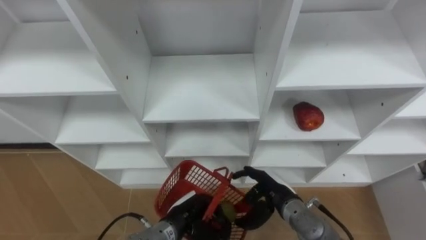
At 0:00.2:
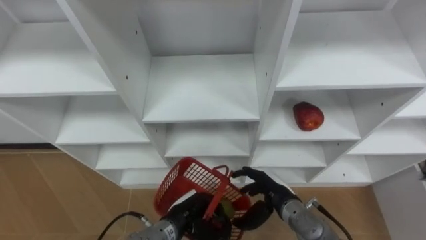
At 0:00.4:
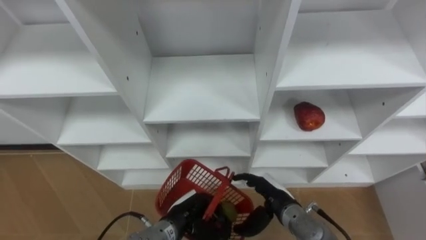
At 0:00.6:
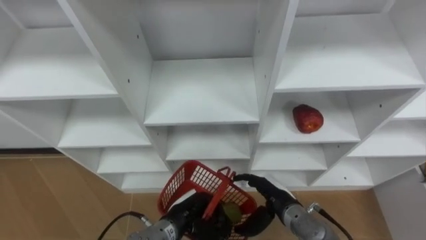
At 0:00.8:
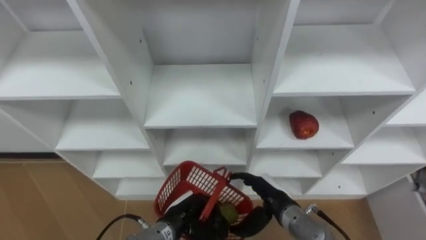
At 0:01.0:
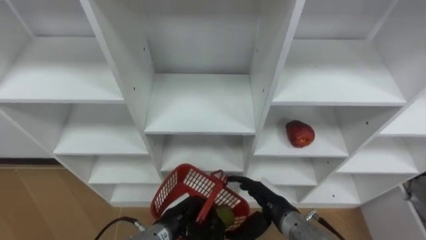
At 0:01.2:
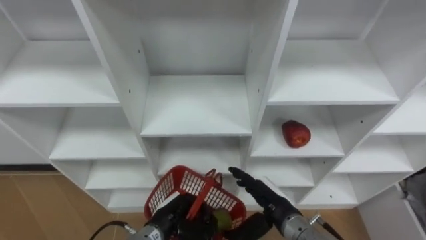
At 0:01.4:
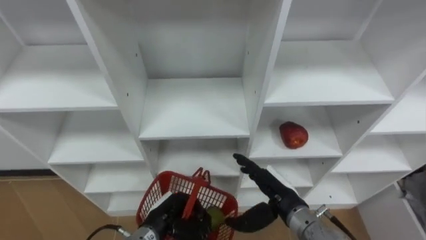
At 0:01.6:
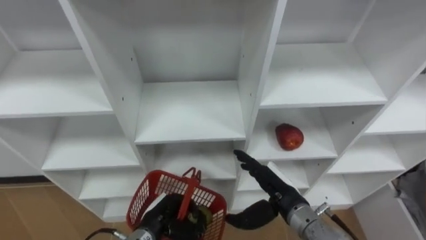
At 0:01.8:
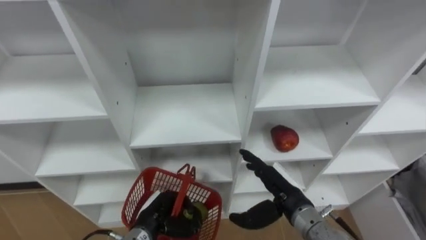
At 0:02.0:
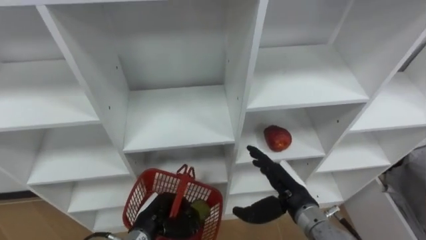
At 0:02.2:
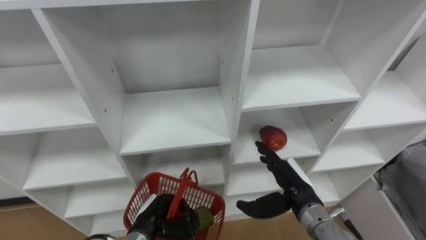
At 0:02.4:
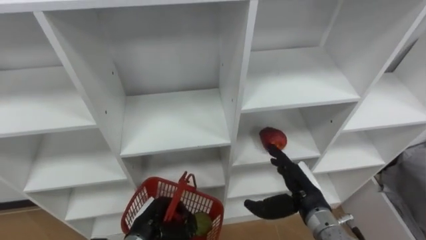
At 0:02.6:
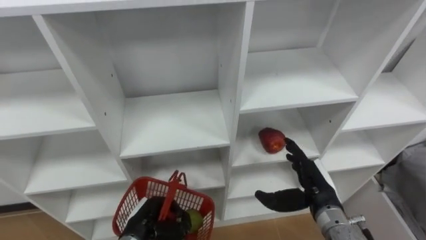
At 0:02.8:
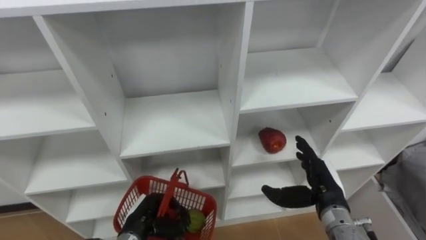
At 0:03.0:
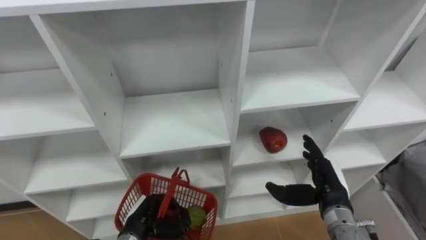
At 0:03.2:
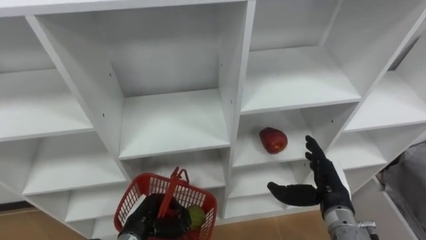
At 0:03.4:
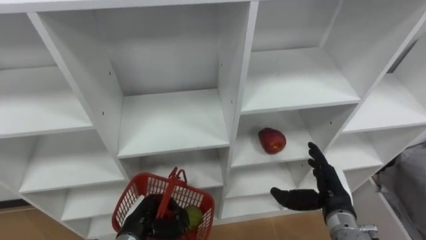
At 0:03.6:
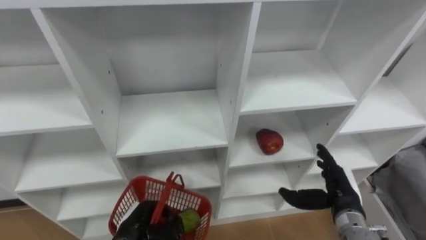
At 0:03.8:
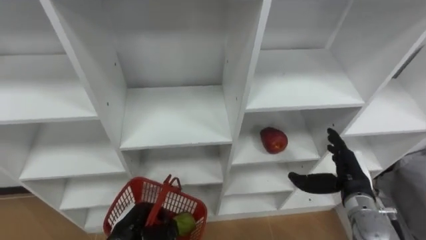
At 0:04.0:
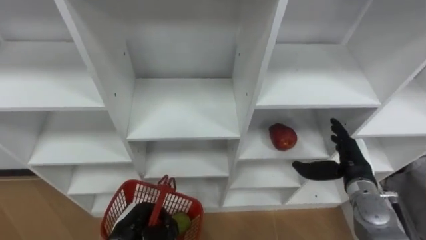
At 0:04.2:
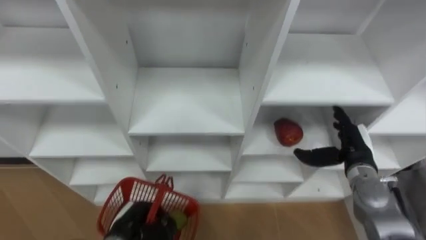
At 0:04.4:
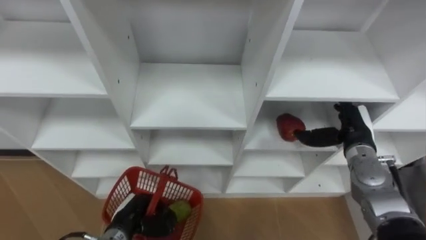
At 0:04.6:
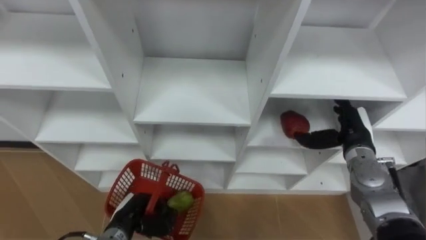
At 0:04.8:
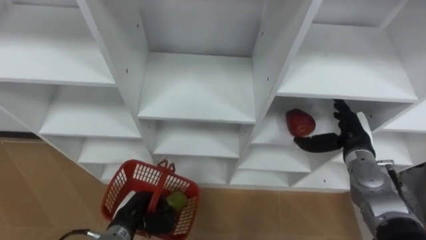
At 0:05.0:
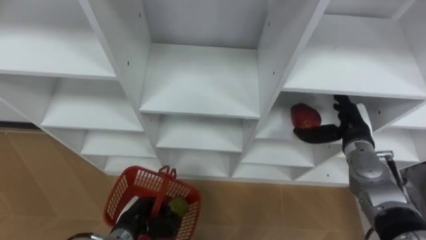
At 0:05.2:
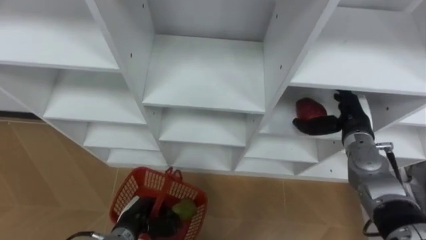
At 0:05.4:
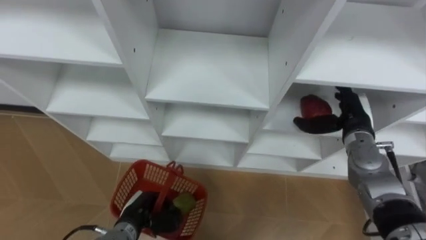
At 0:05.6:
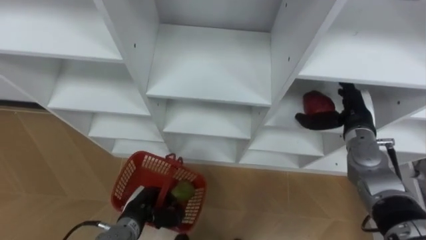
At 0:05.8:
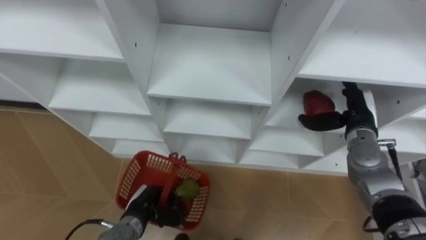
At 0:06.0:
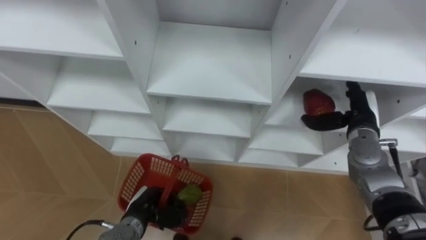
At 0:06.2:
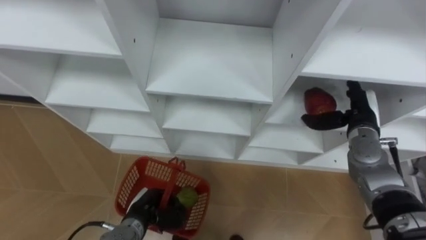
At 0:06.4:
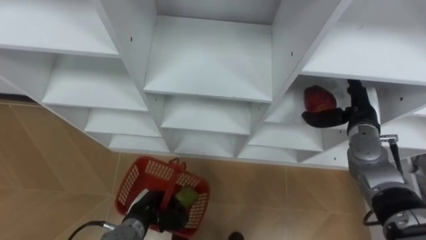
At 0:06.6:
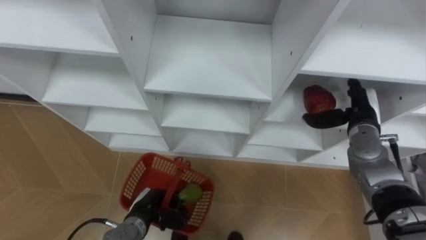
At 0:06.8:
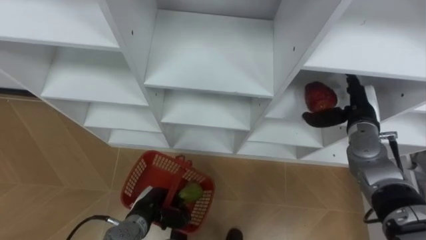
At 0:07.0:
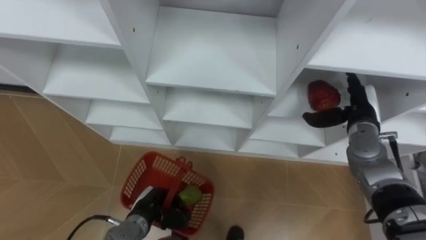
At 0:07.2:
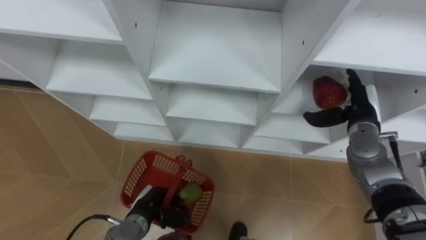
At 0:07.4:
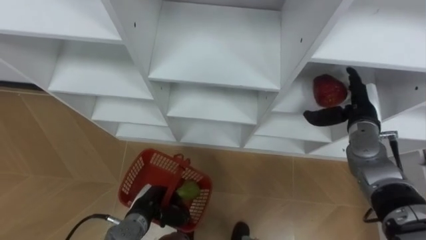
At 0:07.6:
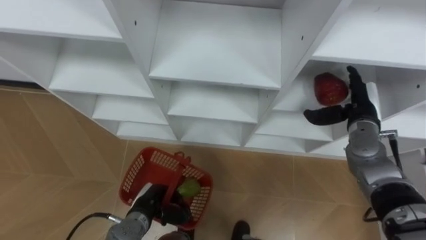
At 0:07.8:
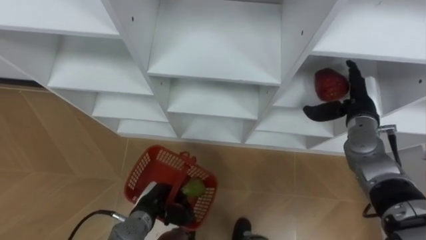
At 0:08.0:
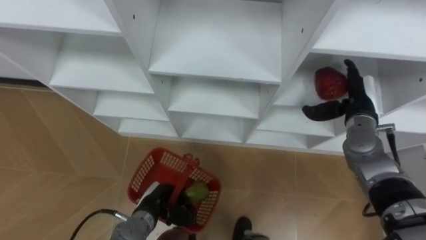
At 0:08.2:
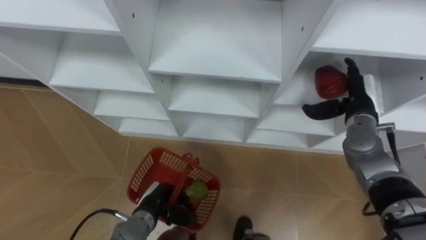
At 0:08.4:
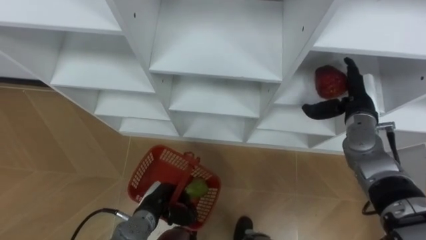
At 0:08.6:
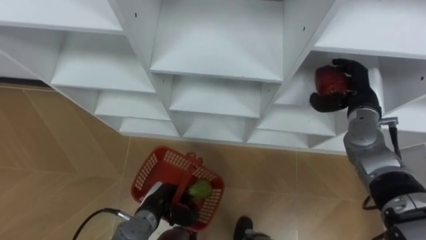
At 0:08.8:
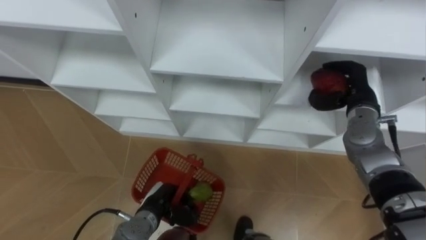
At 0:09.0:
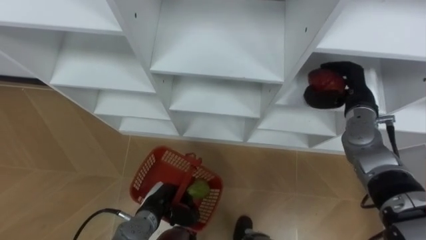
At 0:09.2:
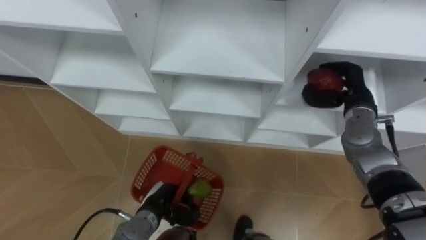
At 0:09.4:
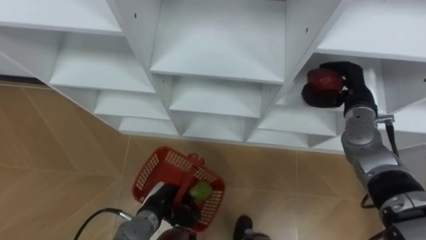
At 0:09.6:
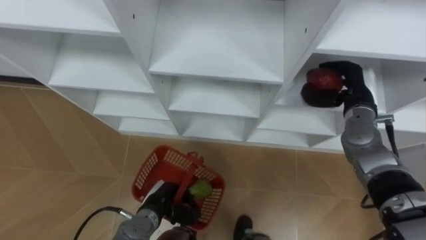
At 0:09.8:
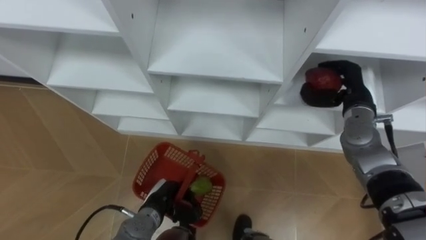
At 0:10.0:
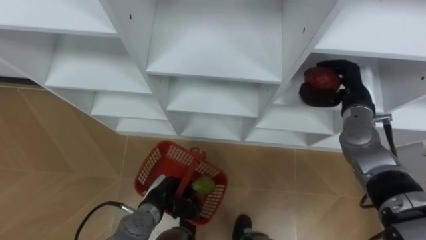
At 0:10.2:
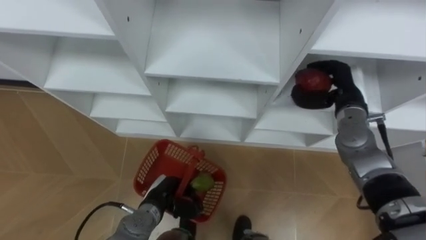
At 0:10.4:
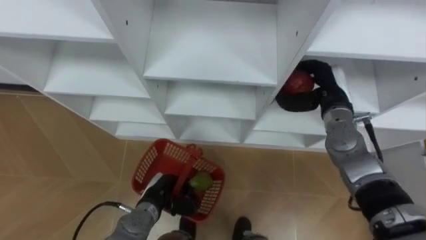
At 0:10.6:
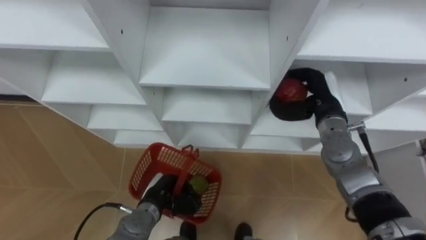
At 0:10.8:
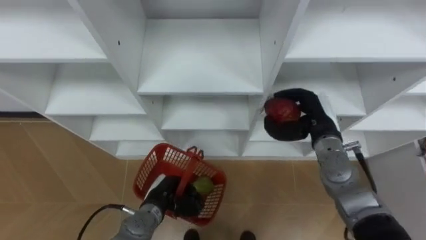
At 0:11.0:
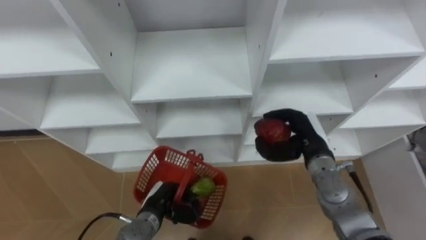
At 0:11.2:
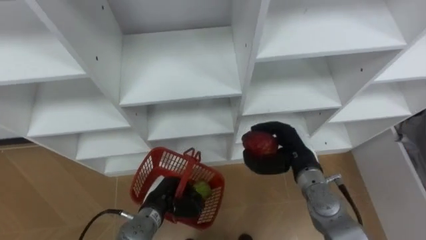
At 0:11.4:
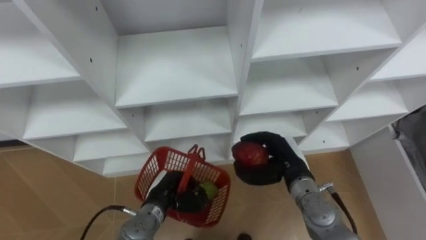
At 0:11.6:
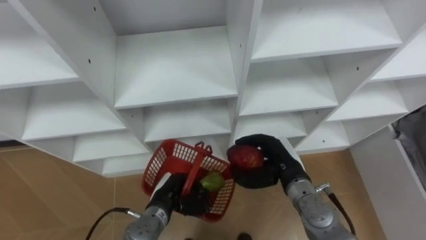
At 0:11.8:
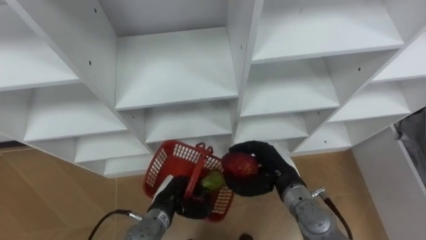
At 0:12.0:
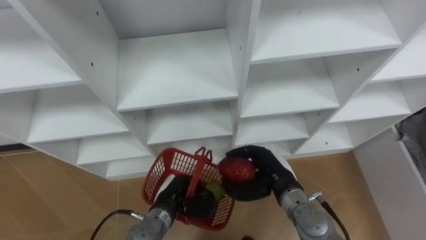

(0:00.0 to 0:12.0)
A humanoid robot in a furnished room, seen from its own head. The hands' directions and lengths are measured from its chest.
Task of the whole recording: Hold the basket and collect the fruits from 3 different cells of the closet into it.
0:00.0 - 0:01.6: The left hand shifts about 5 cm to the left. Meanwhile the right hand shifts about 5 cm upward.
0:01.6 - 0:03.0: The right hand shifts roughly 10 cm to the right.
0:03.0 - 0:04.4: The right hand travels forward and to the right by approximately 10 cm.
0:07.6 - 0:09.0: The right hand closes up.
0:09.0 - 0:10.4: The right hand moves to the left, roughly 5 cm.
0:10.4 - 0:12.0: The right hand goes some 20 cm backward, downward and to the left.

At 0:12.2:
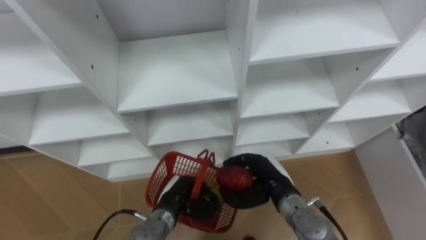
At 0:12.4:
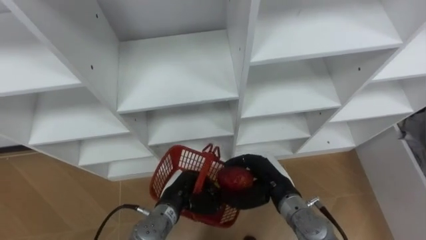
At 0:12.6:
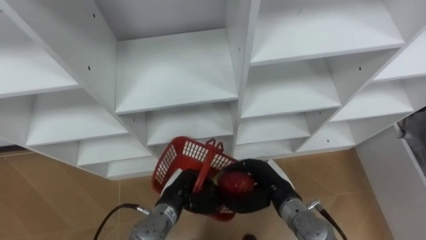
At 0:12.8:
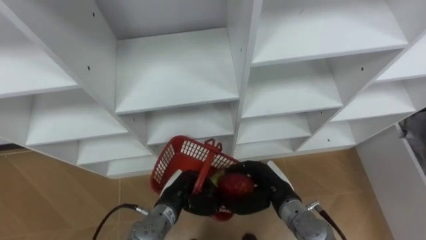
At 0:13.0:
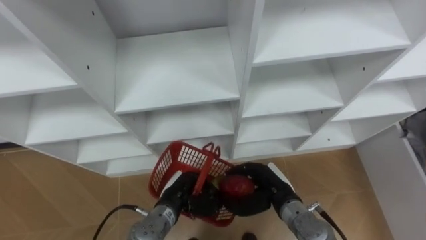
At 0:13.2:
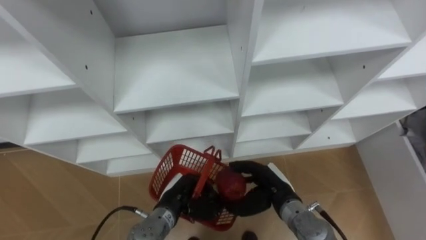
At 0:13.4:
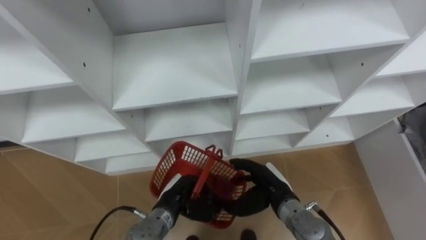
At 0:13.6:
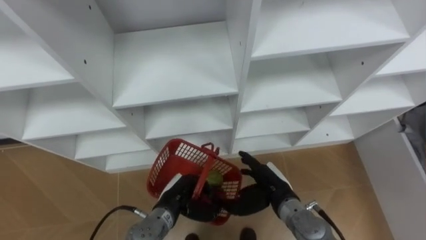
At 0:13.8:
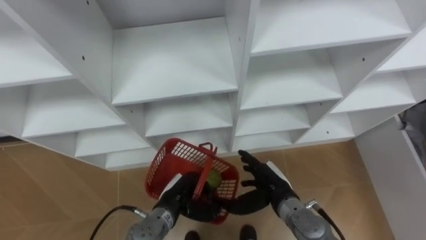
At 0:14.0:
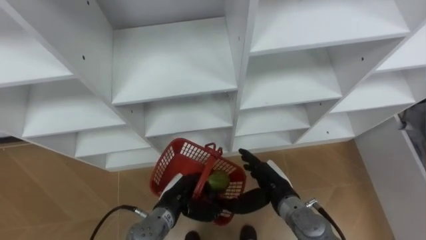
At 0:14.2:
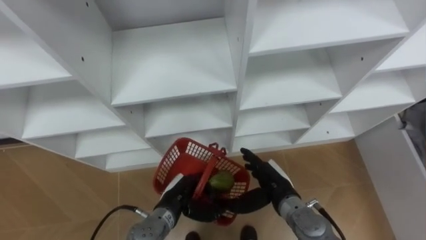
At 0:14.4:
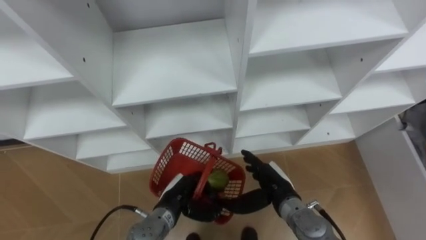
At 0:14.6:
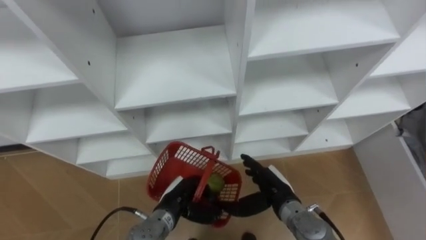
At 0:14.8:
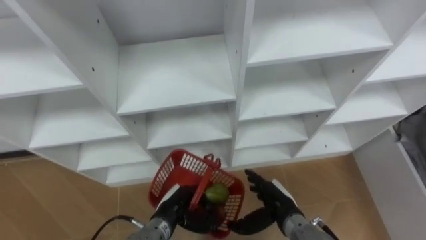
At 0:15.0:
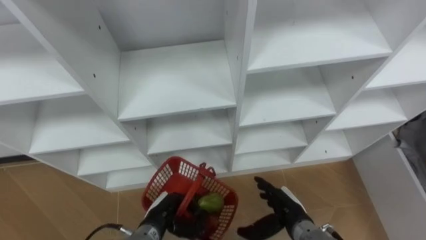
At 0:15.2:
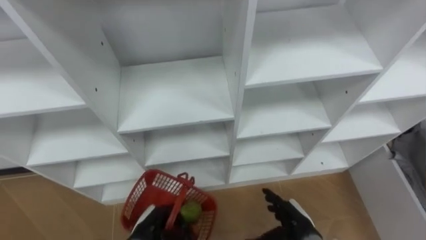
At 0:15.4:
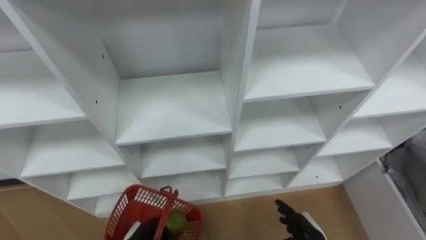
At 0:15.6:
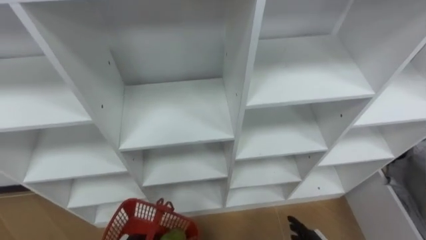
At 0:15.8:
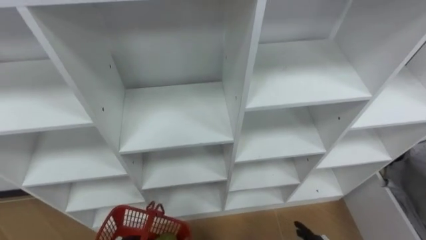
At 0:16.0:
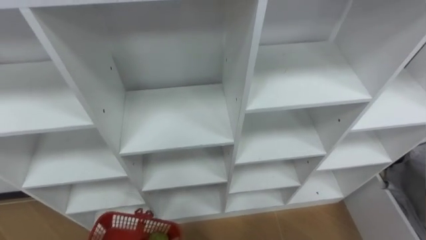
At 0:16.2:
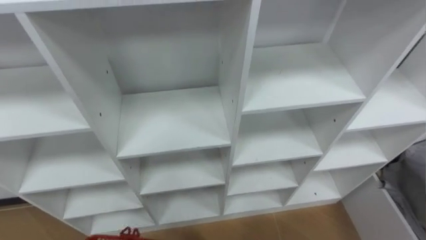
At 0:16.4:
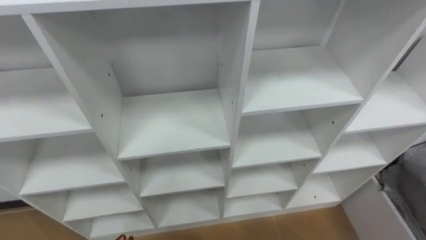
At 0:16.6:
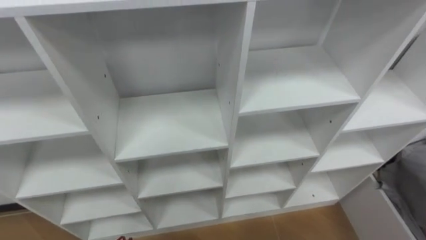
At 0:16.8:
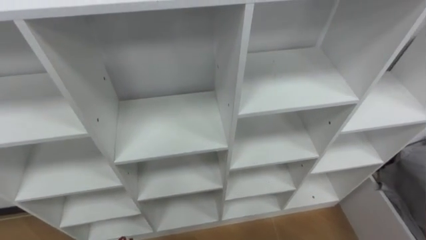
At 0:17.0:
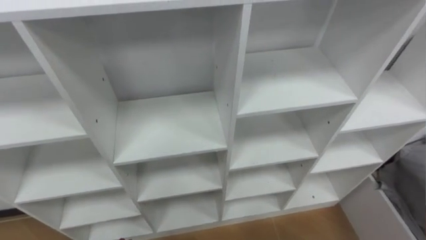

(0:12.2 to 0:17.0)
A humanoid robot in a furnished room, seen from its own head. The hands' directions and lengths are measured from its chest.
Task of the whole recording: Hold the basket and collect the fruits from 3 different cells of the closet into it.
0:12.2 - 0:13.8: The right hand opens.
0:13.8 - 0:15.4: The right hand travels backward, to the right and downward by about 15 cm.
